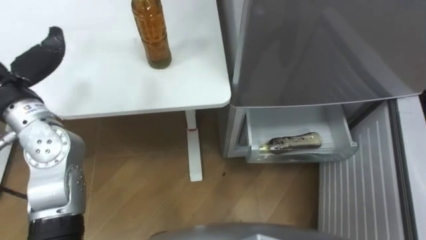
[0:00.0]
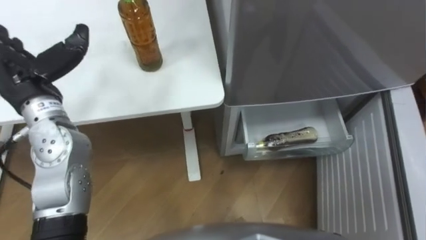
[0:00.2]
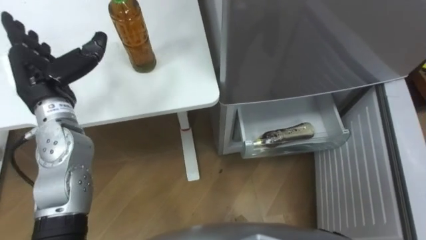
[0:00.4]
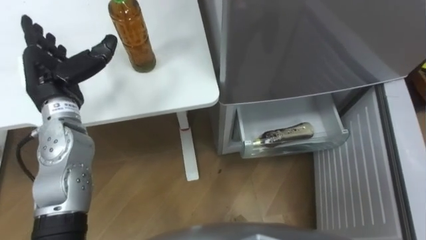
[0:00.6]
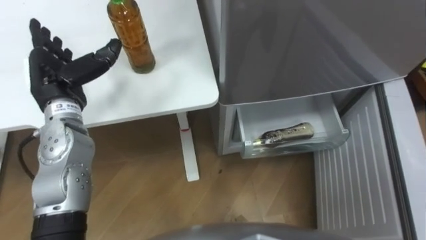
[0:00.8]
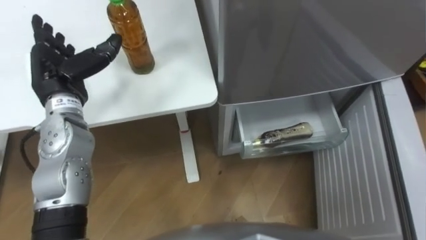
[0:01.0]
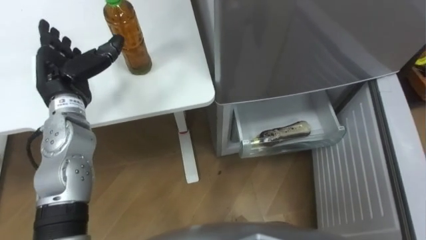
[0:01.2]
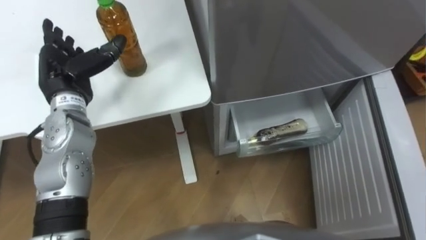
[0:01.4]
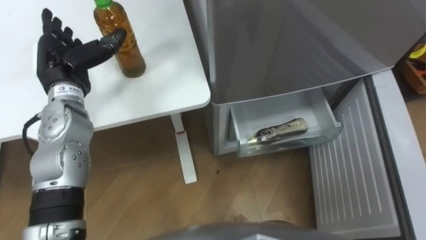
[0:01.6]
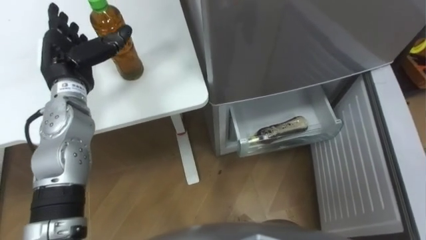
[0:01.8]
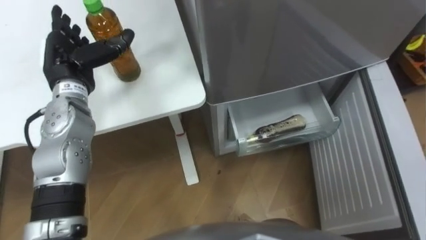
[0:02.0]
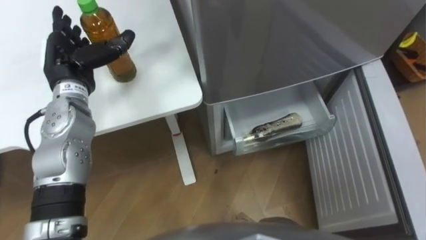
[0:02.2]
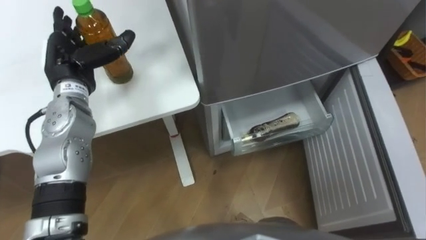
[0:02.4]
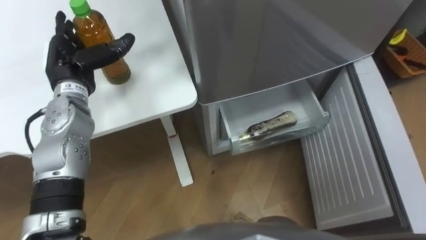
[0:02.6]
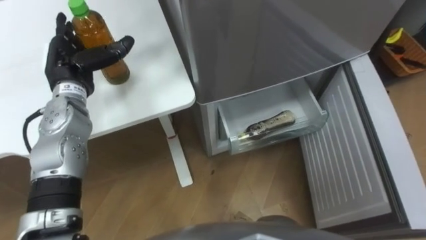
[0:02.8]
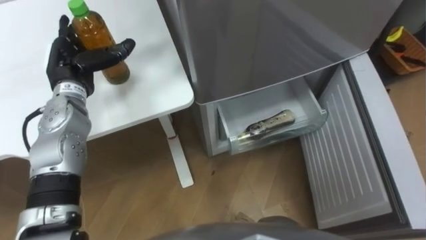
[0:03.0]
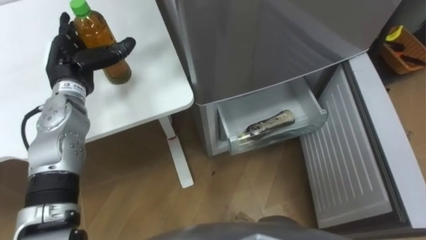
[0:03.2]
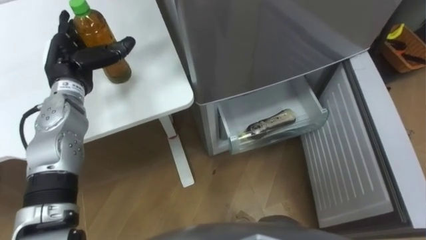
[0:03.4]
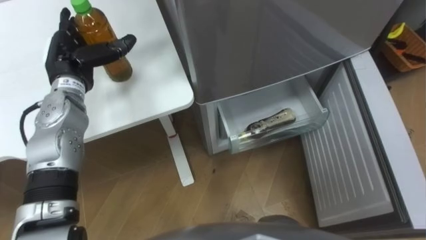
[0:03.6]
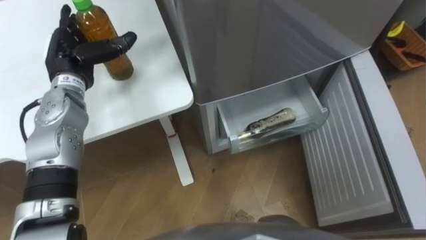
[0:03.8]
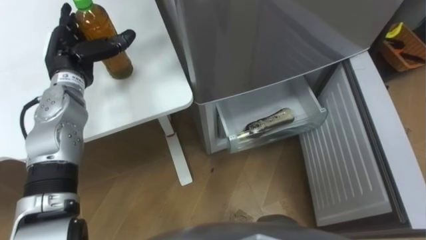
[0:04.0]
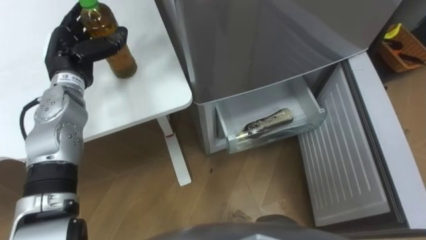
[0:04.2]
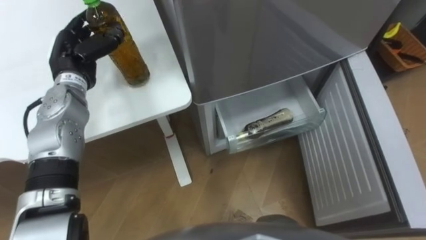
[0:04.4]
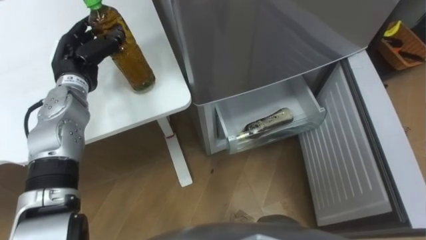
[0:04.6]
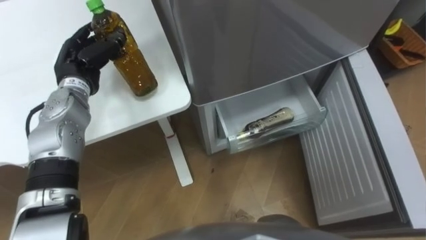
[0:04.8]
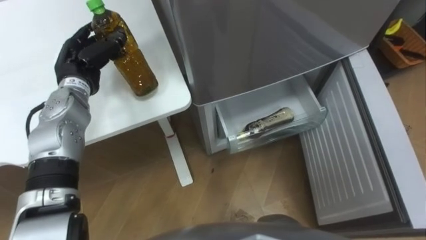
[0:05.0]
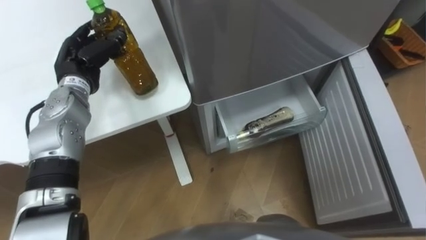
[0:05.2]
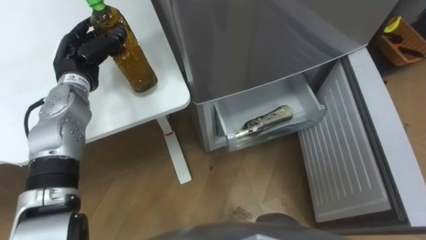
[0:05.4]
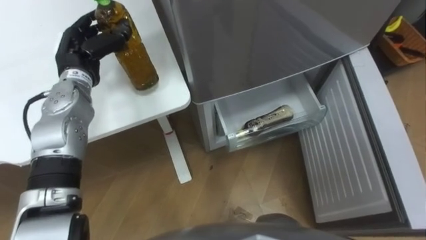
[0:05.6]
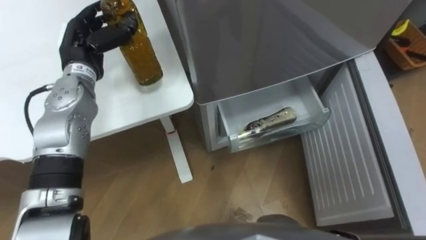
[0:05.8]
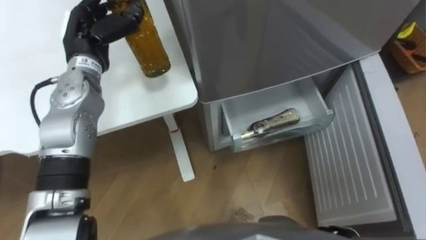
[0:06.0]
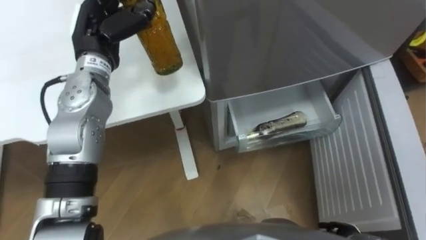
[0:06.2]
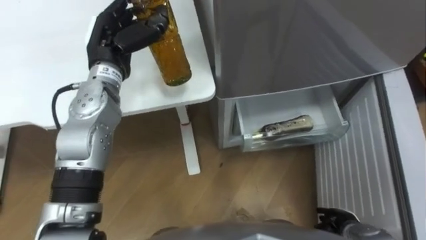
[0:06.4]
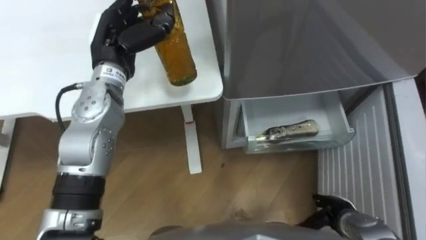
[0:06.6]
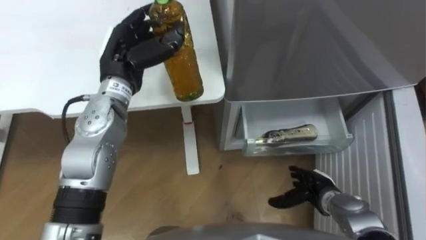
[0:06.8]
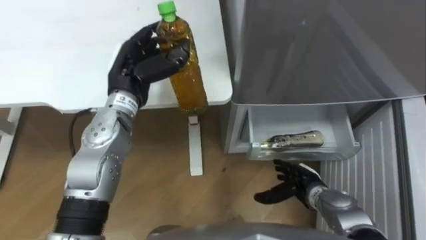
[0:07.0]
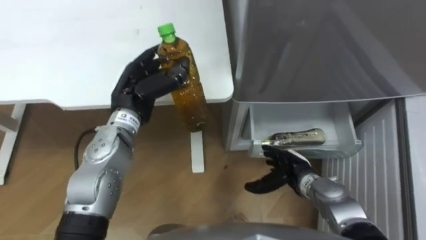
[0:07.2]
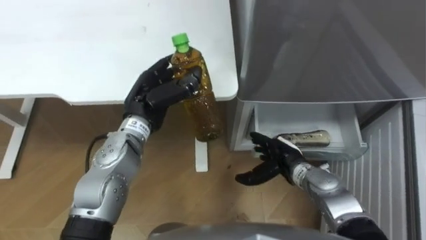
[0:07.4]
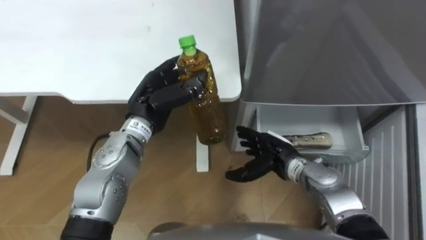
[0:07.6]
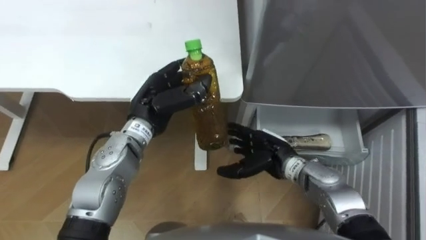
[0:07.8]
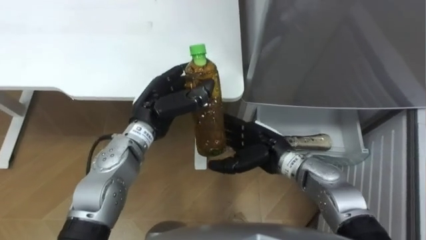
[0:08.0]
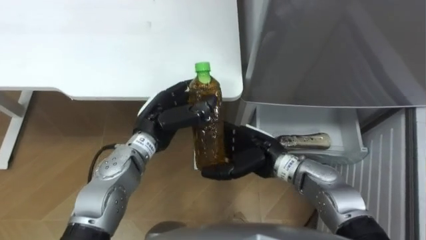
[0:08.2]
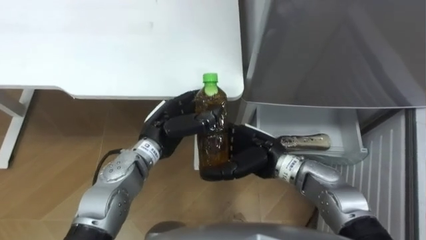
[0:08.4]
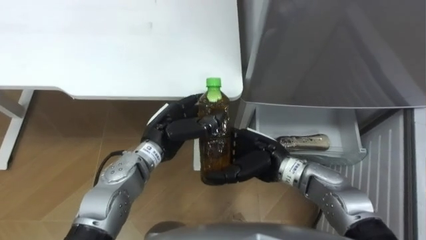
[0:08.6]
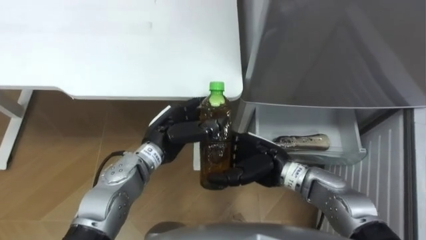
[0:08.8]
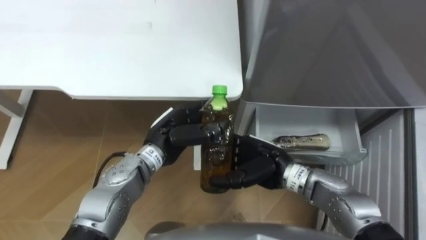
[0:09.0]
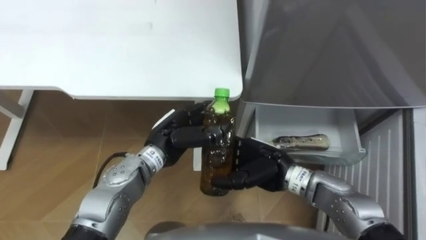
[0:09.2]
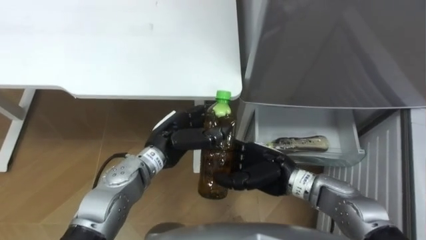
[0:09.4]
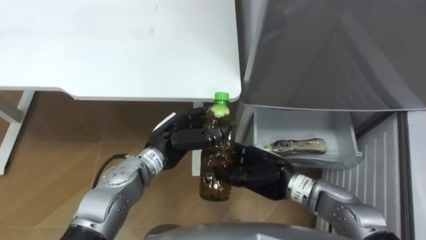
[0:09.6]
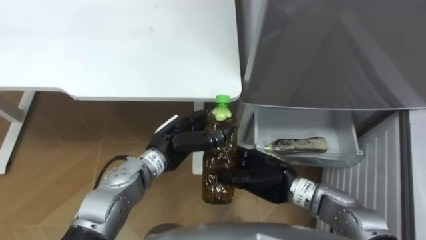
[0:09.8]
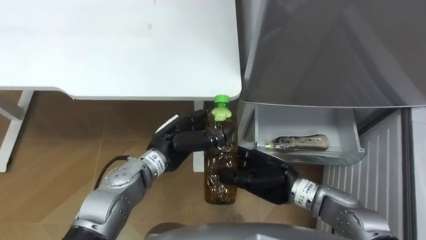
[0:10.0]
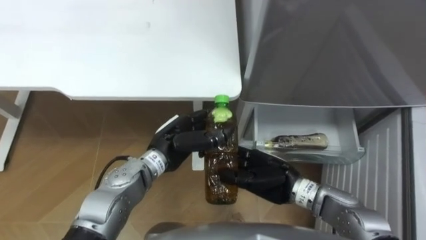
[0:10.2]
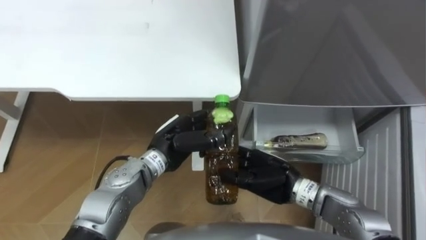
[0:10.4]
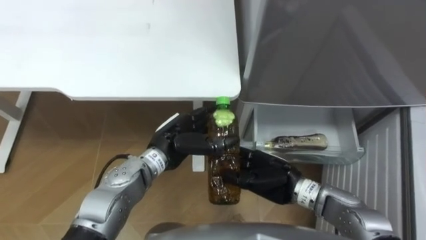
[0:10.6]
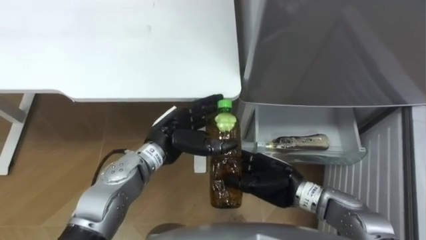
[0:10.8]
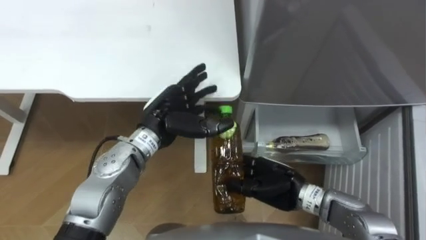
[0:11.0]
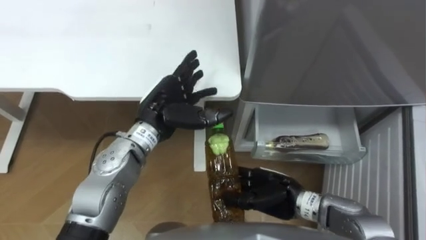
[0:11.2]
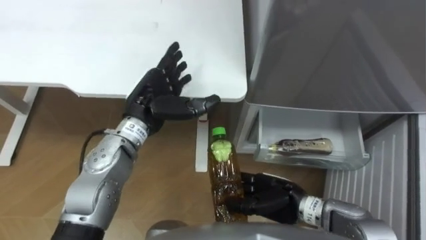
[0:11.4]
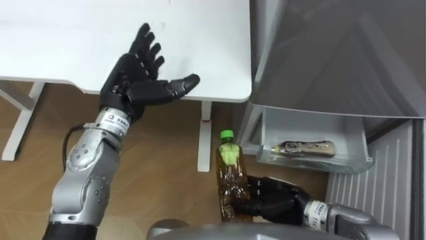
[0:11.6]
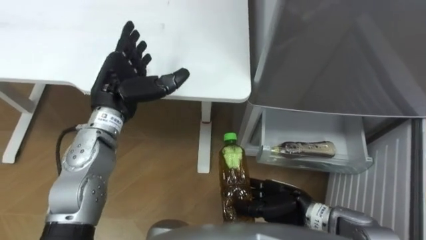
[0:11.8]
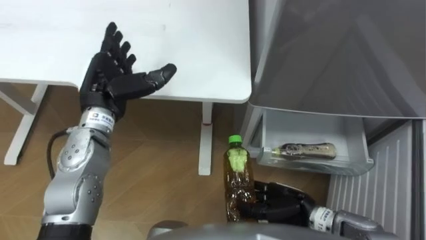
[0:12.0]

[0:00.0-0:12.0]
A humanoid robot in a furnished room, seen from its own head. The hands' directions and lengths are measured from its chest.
Task of the whole recording: Place the drink on the table on the bottom shelf of the refrigerator, then close the drawer and the refrigerator door.
0:03.0 to 0:04.4: The left hand closes up.
0:06.0 to 0:07.6: The left hand heads to the right, backward and downward, covering some 15 cm.
0:07.6 to 0:09.0: The left hand travels downward by roughly 5 cm. The right hand travels upward by roughly 5 cm.
0:09.0 to 0:10.4: The right hand closes.
0:10.4 to 0:12.0: The right hand travels backward by roughly 5 cm. The left hand is displaced to the left, upward and forward by about 15 cm, and opens up.

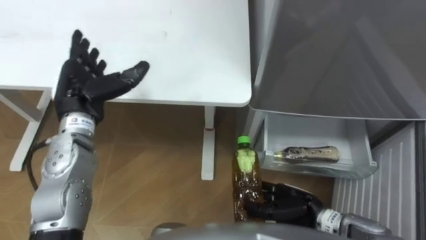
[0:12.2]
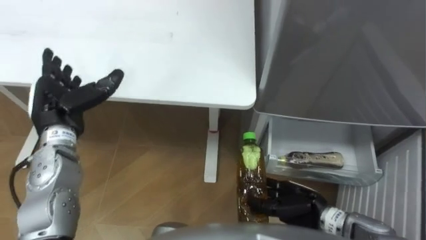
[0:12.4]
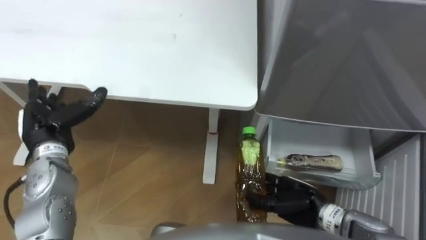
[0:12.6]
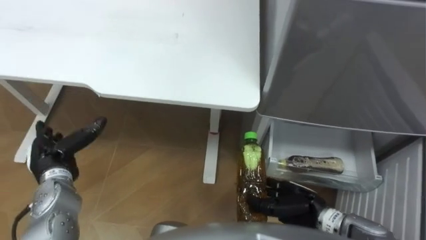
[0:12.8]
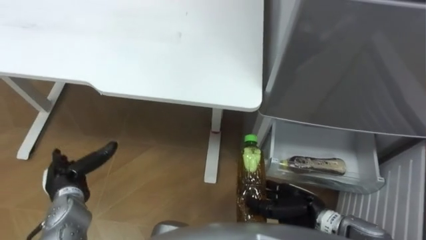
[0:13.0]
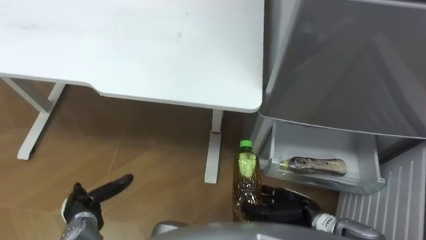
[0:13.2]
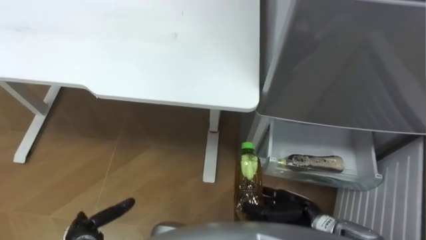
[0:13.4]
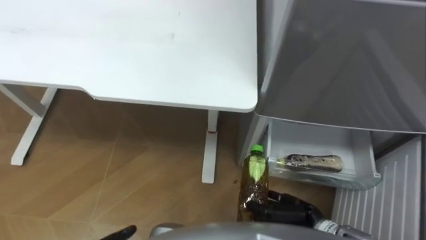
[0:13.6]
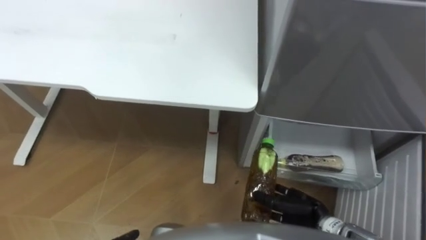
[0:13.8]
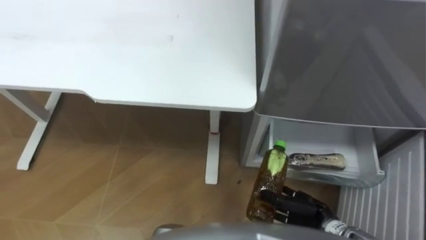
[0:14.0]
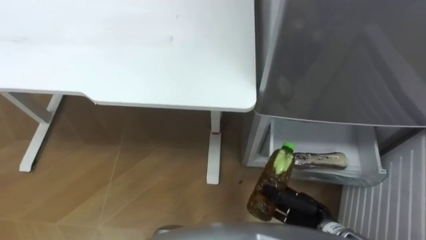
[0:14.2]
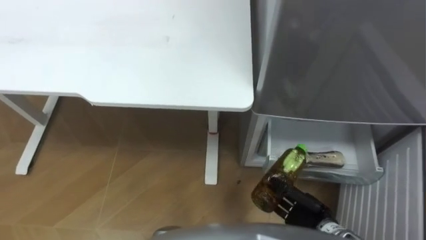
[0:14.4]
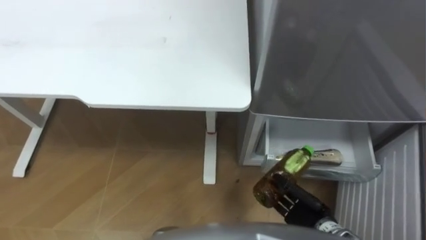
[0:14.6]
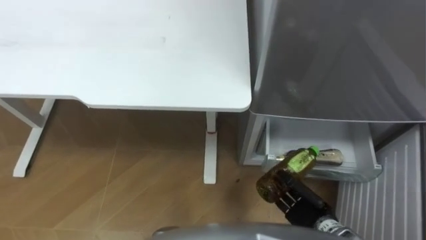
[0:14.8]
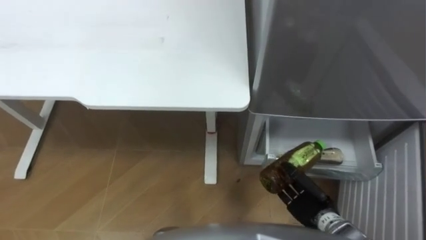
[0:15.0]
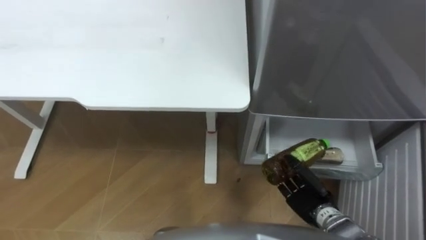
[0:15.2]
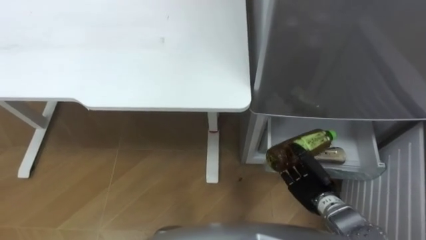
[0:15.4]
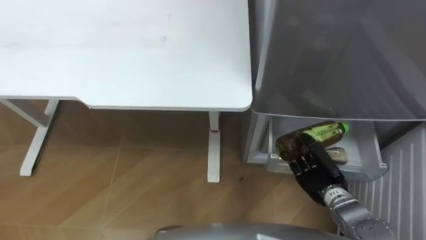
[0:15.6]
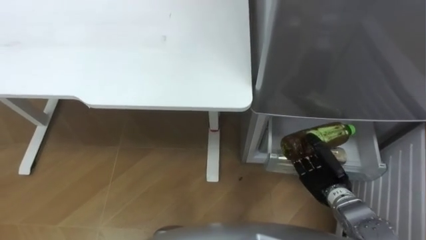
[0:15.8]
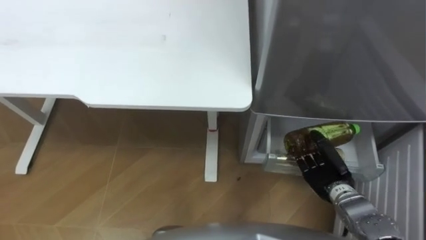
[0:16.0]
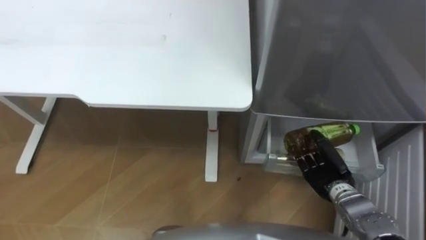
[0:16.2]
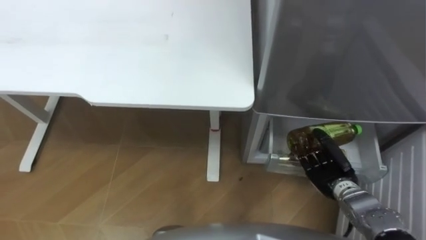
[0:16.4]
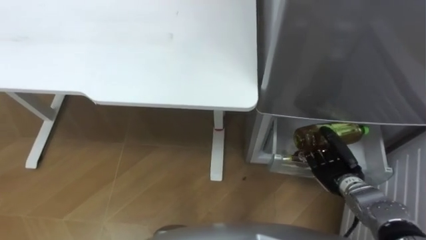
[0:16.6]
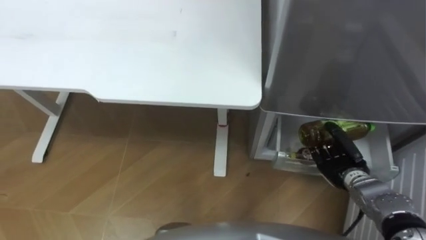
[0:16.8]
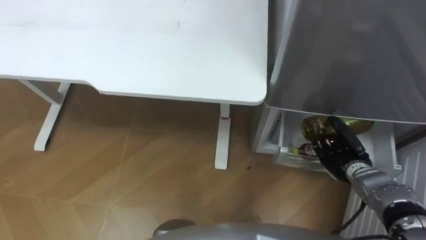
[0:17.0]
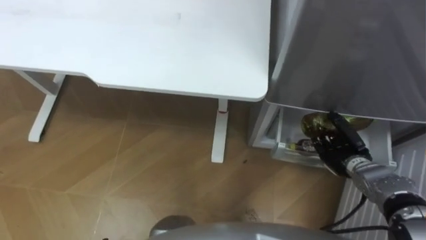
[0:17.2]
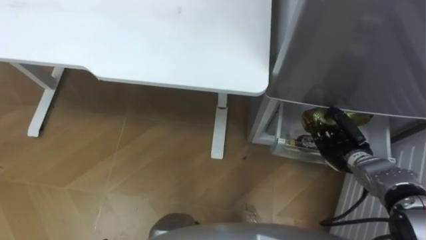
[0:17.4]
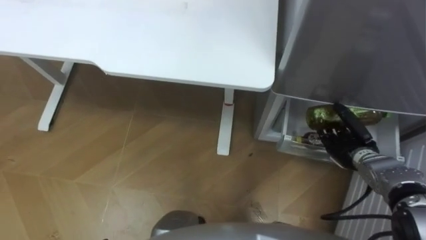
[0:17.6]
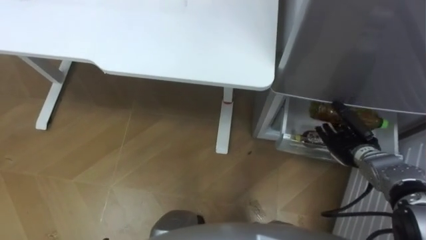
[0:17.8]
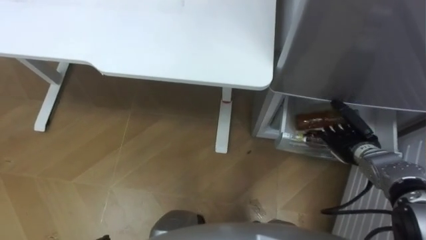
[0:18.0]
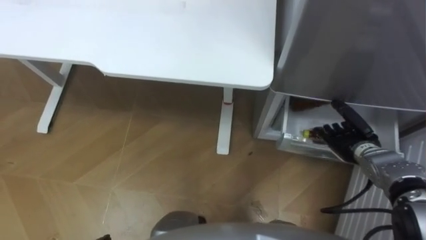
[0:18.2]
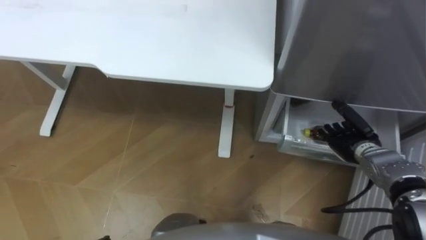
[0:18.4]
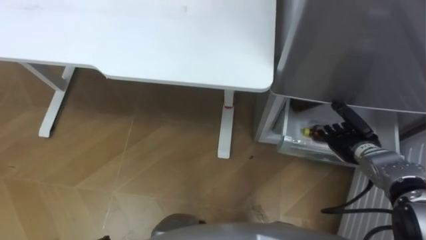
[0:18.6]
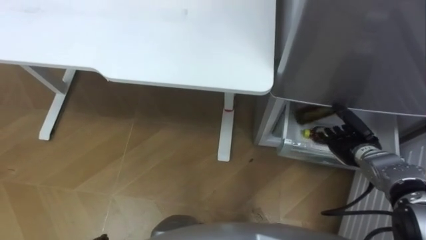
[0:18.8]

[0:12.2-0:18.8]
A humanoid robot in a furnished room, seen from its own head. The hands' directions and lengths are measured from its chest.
Task of the whole recording: Place the drink on the table on the bottom shelf of the refrigerator, then close the drawer and the refrigerator door.
0:13.8 to 0:15.4: The right hand changes place by some 5 cm.
0:15.4 to 0:17.2: The right hand heads to the right and forward, covering some 10 cm.
0:17.2 to 0:18.8: The right hand opens.
